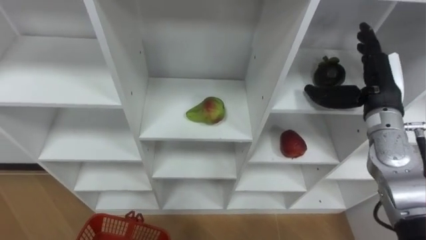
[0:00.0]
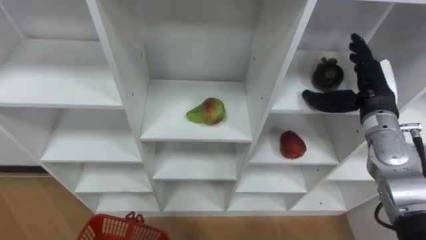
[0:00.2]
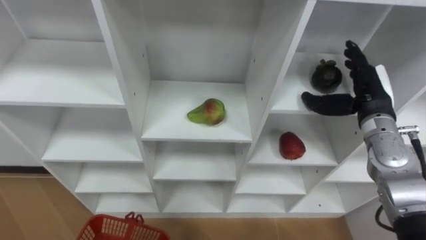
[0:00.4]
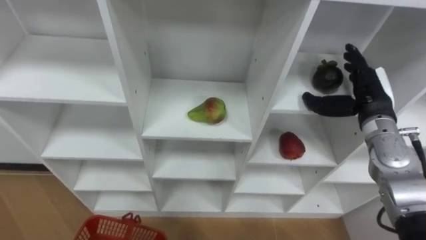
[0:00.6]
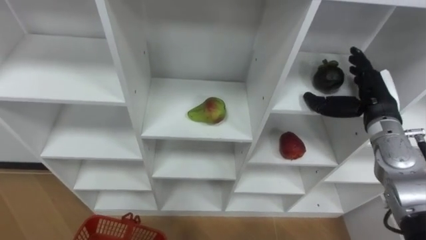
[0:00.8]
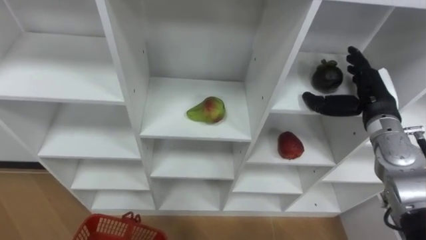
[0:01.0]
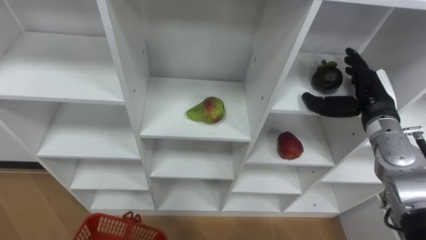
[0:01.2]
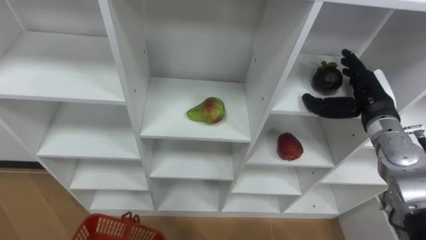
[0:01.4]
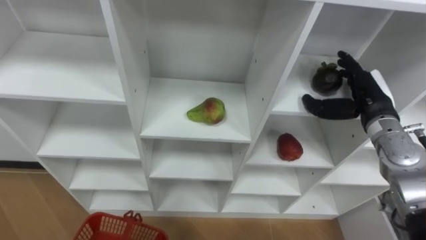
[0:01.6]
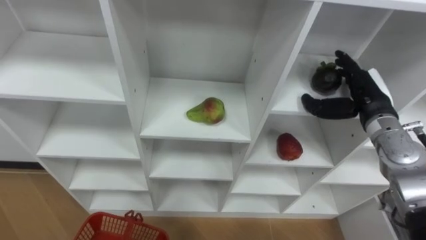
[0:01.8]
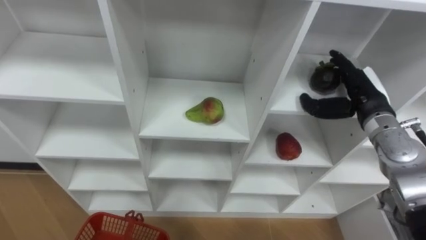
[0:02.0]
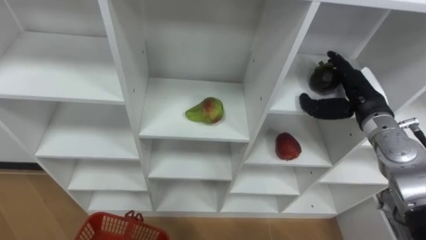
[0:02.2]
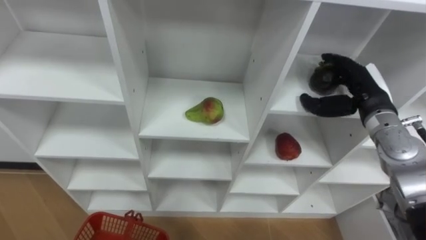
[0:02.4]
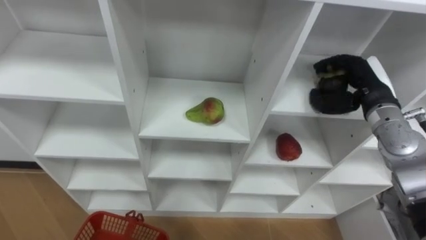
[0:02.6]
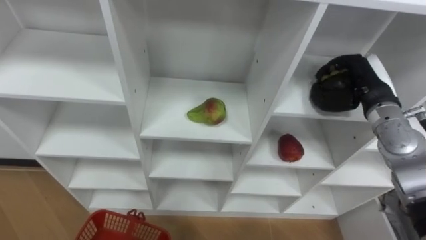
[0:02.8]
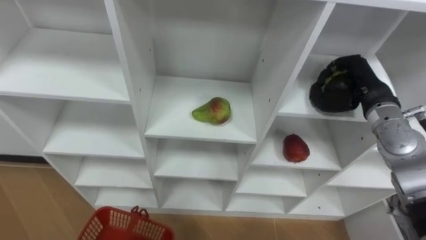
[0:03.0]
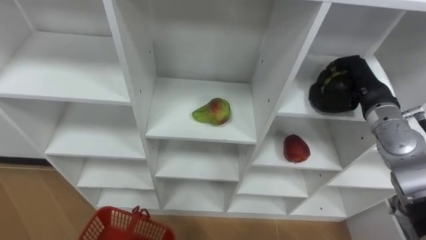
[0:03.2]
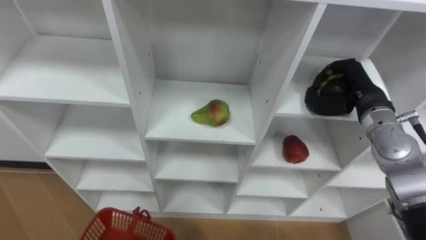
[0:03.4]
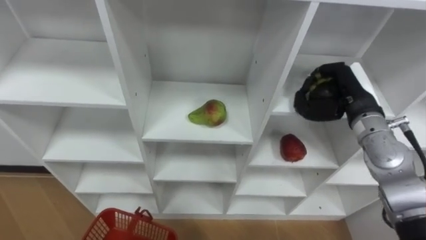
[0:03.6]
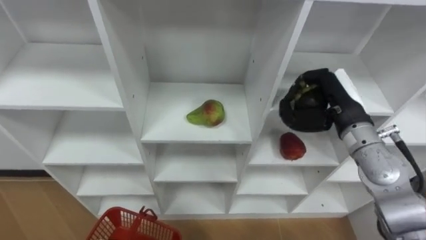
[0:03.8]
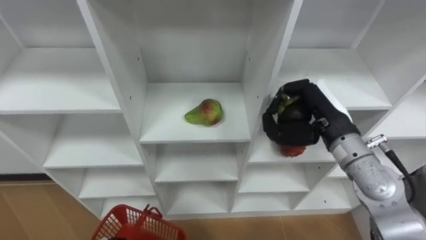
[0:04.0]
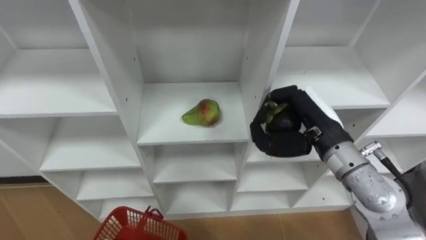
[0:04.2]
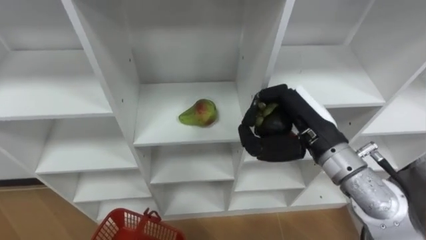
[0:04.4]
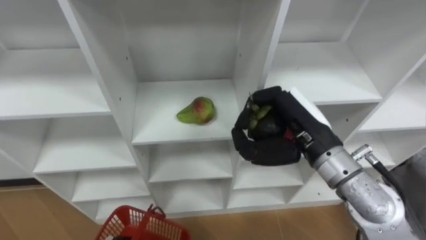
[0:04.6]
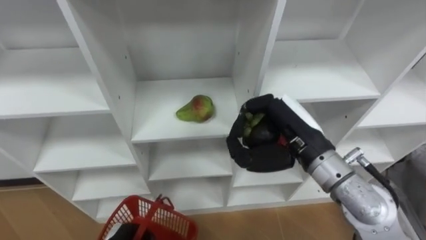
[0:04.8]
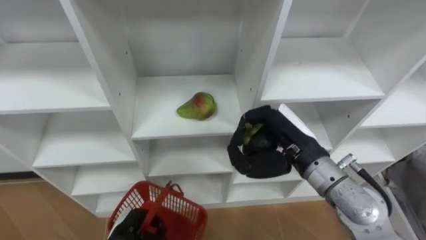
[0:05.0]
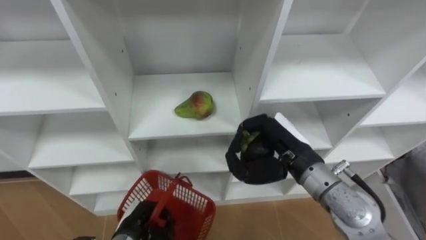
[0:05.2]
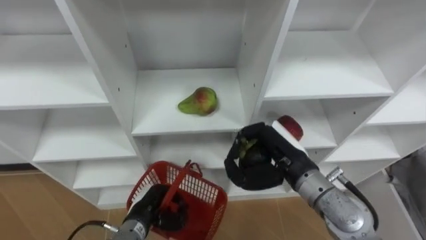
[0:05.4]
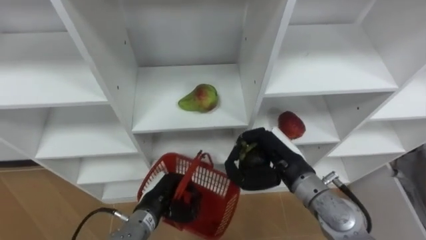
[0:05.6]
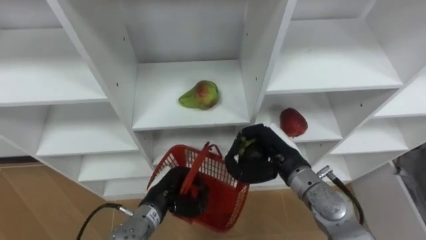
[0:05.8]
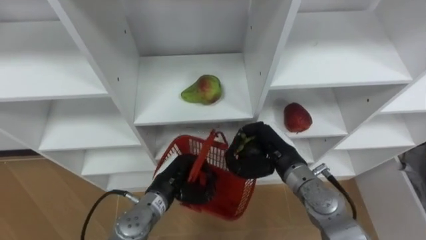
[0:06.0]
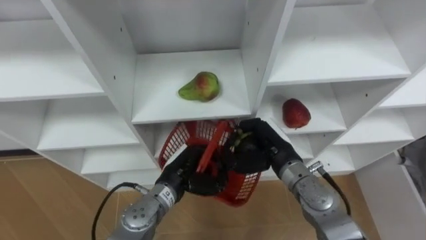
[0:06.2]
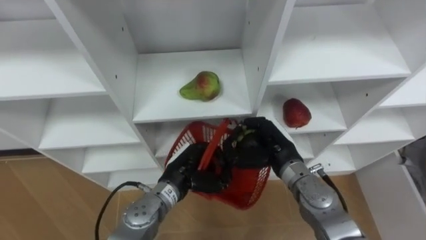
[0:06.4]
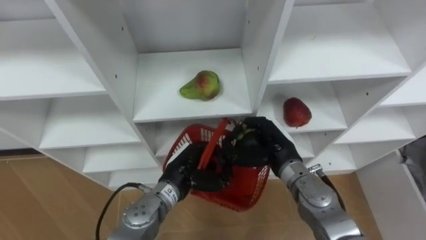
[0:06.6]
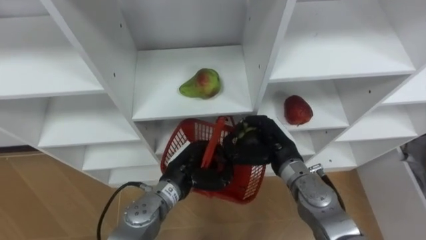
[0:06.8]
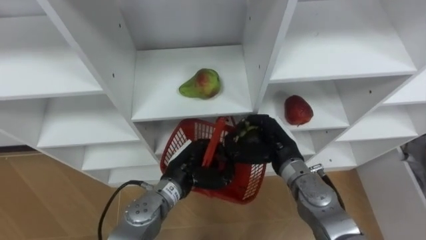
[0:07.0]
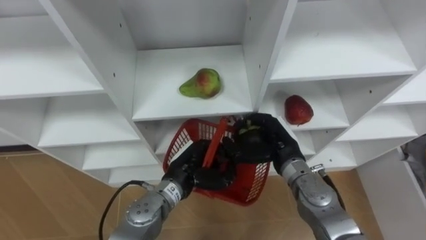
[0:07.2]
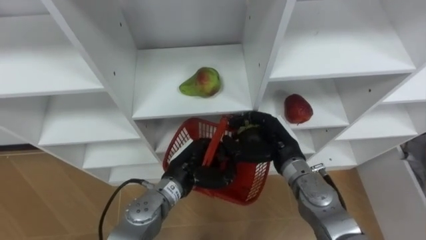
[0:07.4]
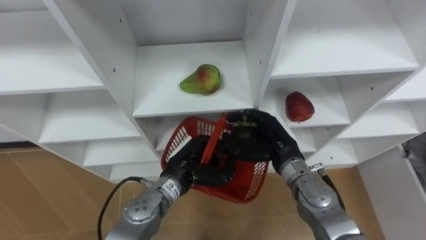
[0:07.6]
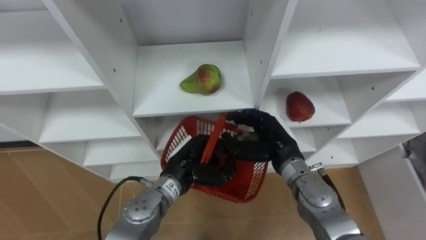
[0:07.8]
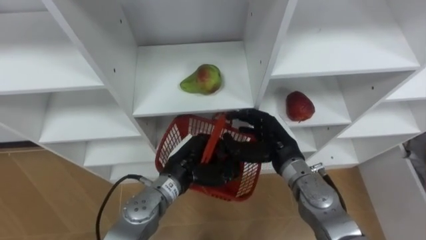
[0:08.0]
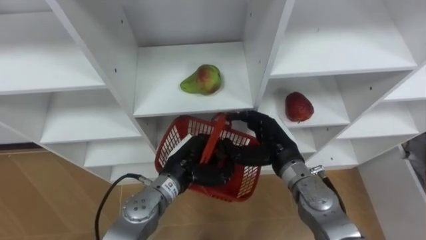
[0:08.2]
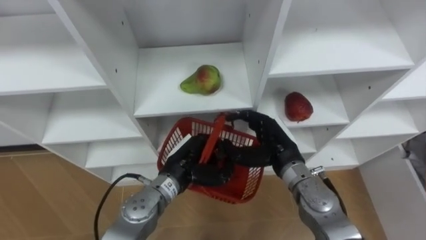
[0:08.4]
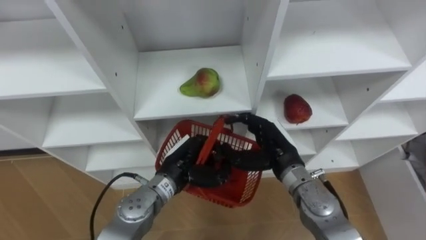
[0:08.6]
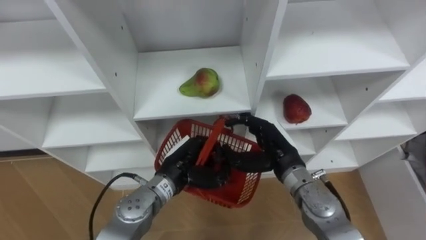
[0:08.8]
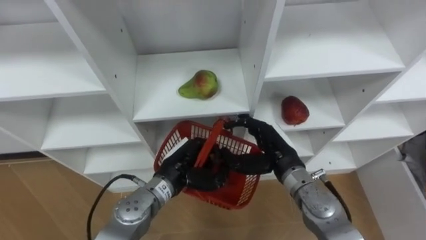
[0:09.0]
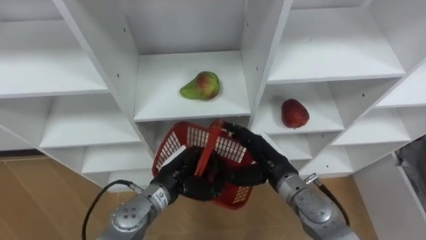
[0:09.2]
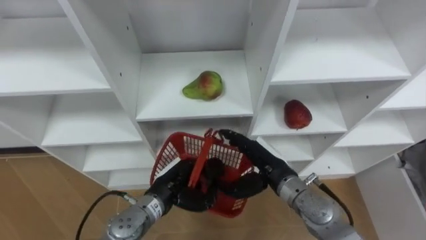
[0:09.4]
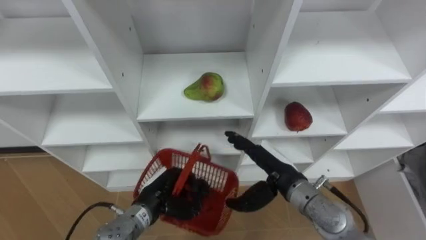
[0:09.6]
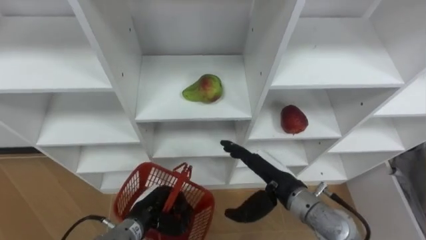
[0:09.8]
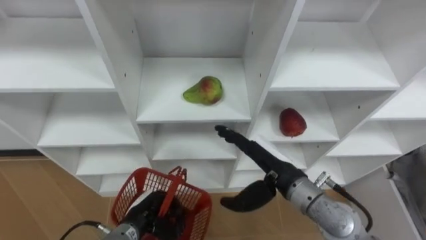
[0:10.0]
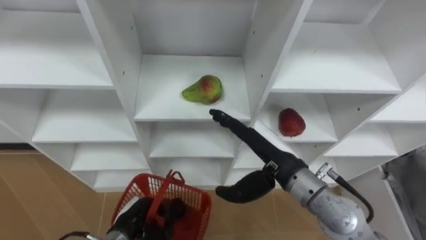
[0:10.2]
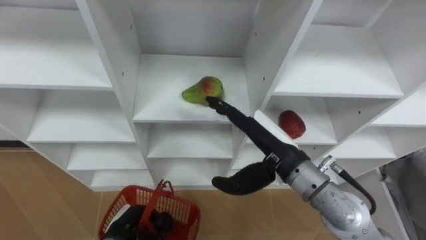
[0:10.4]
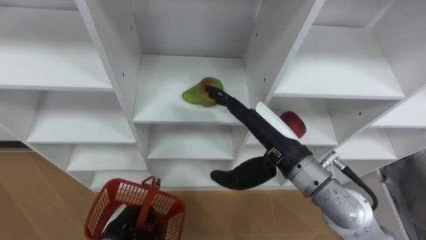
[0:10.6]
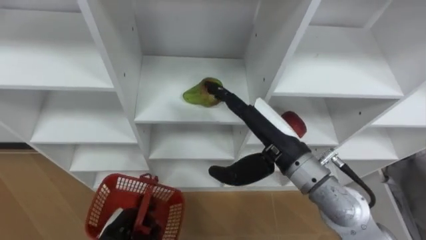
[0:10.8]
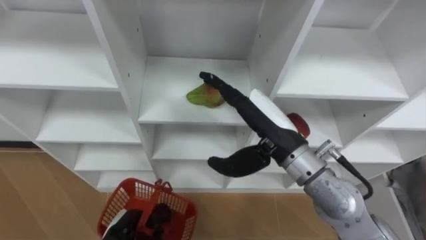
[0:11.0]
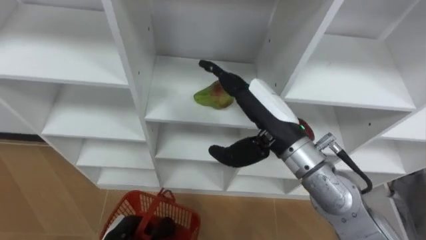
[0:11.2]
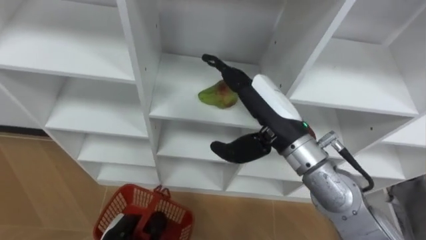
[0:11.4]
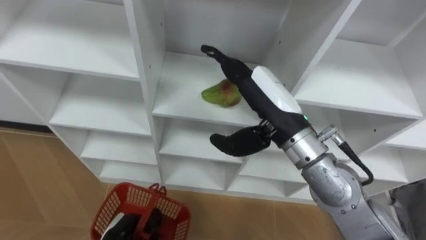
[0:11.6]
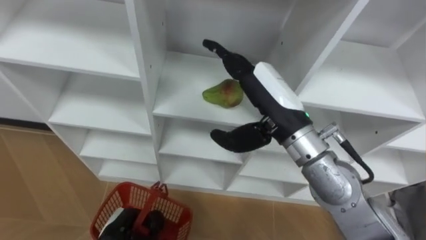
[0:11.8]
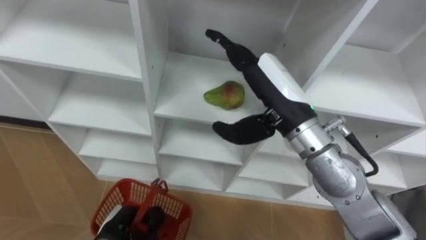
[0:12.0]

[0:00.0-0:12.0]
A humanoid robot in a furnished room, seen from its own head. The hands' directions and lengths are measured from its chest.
Task of the whole recording: Hold the basket and collect the fruits from 3 different cells of the closet into it.
0:01.6 to 0:03.0: The right hand closes up.
0:03.0 to 0:04.4: The right hand travels to the left and backward by about 15 cm.
0:04.4 to 0:06.0: The right hand is displaced downward by roughly 10 cm.
0:06.0 to 0:07.6: The left hand ends up approximately 5 cm from where it was. The right hand opens.
0:07.6 to 0:09.0: The right hand opens.
0:09.0 to 0:10.4: The right hand goes about 10 cm upward. Meanwhile the left hand moves to the left, downward and backward, about 20 cm.
0:10.4 to 0:12.0: The right hand shifts about 10 cm upward.

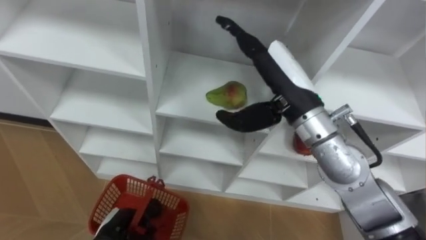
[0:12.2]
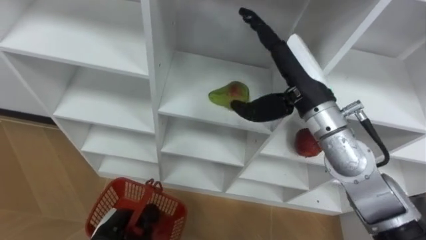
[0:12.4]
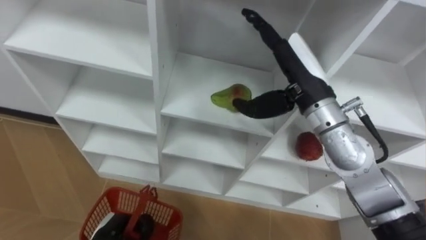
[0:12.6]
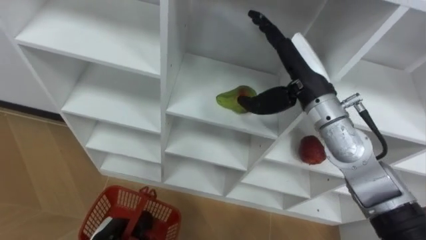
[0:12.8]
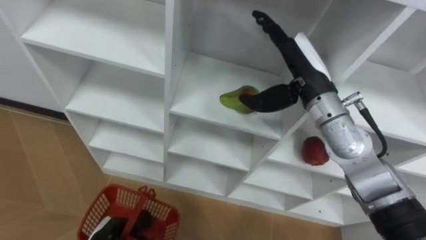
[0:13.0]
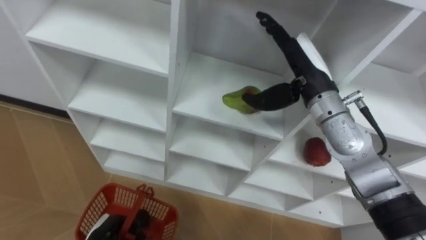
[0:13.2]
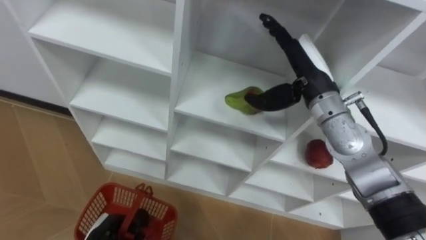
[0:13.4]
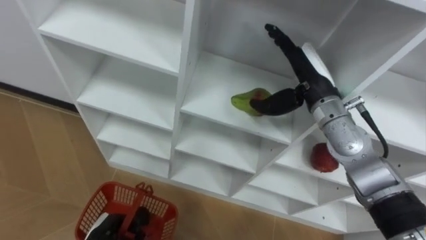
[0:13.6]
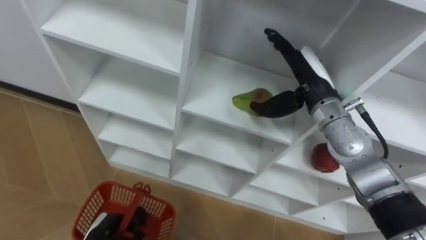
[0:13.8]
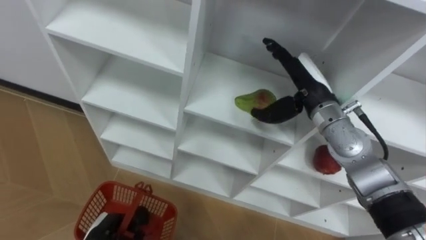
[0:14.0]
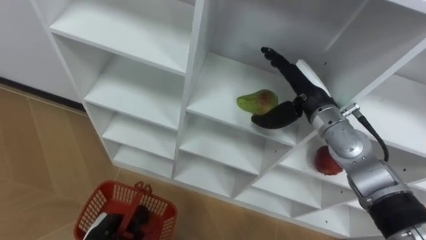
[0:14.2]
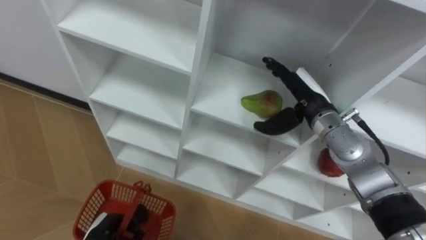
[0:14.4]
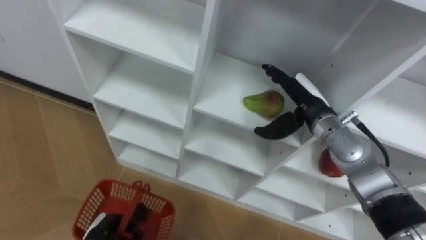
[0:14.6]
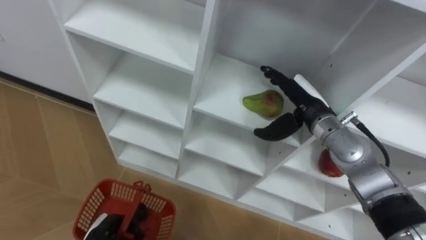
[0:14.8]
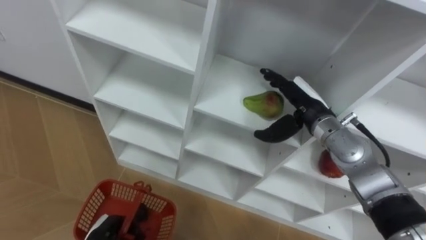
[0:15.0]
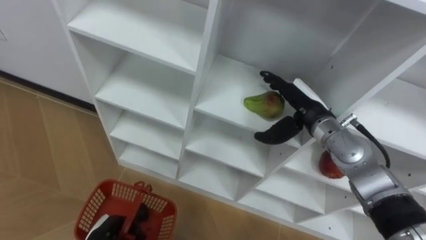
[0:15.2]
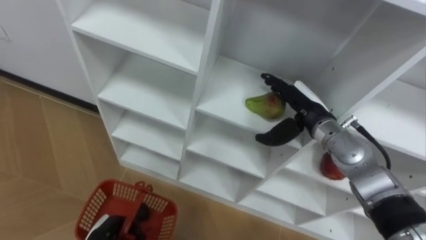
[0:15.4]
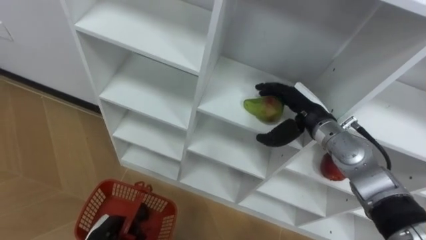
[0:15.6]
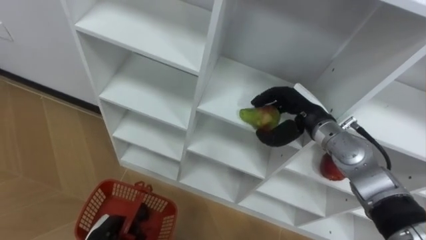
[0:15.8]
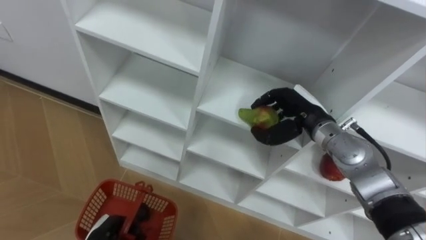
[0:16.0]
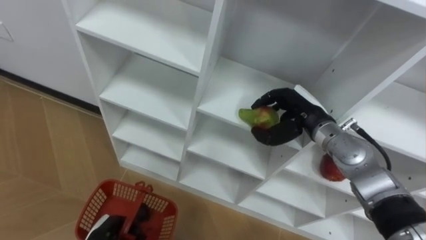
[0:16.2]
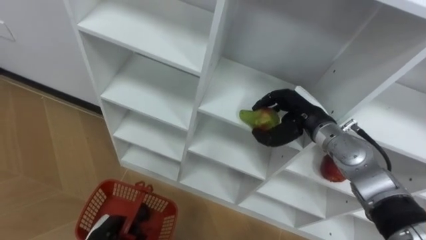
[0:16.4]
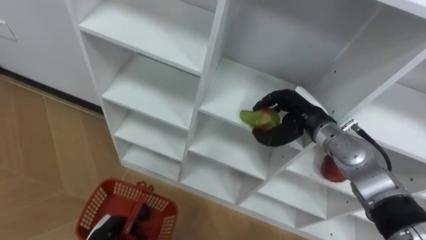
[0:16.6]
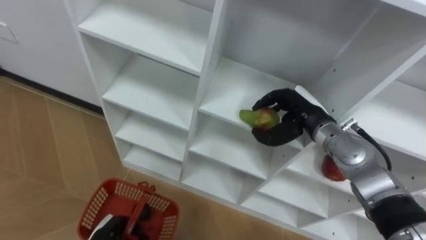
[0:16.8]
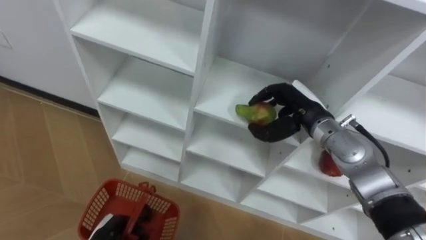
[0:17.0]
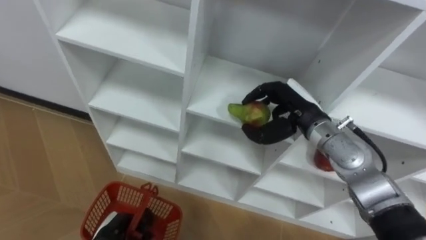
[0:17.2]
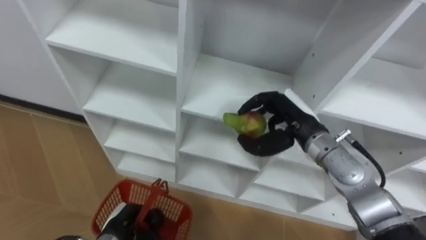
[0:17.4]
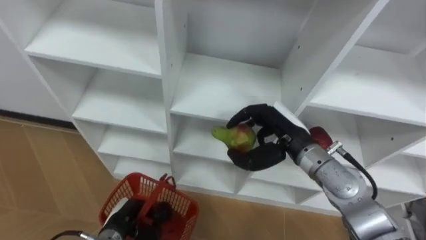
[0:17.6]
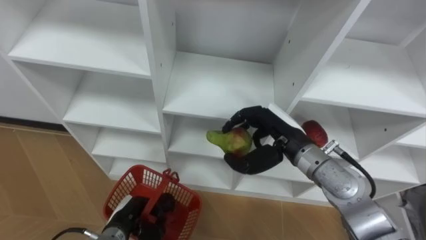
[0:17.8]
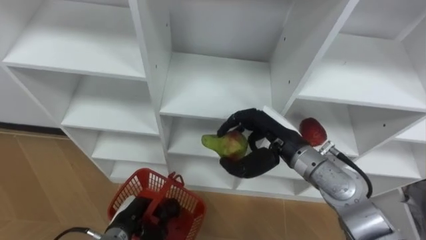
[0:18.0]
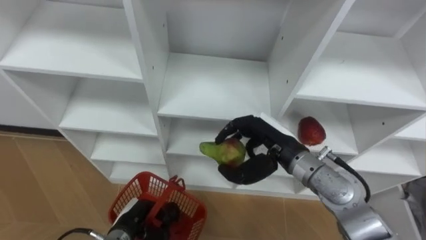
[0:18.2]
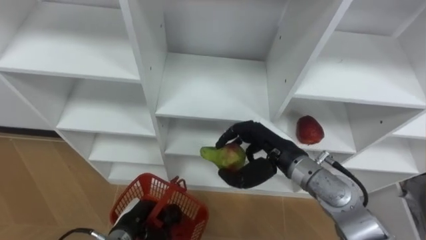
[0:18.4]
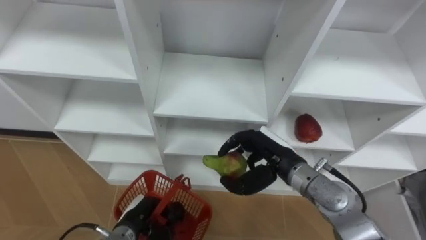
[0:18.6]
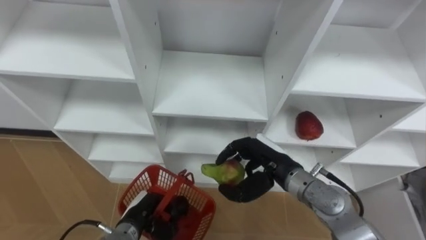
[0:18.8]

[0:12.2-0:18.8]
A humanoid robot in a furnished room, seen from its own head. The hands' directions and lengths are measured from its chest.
Task of the whole recording: Hold the basket and collect the fruits from 3 different cells of the closet into it.
0:12.2 to 0:13.8: The right hand shifts roughly 10 cm forward, downward and to the right.
0:13.8 to 0:15.4: The right hand moves downward, some 5 cm.
0:15.4 to 0:17.2: The right hand closes its fingers.
0:17.2 to 0:18.8: The right hand heads backward and downward, covering approximately 10 cm. Meanwhile the left hand moves to the right, approximately 5 cm.
